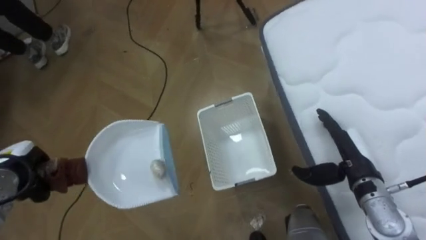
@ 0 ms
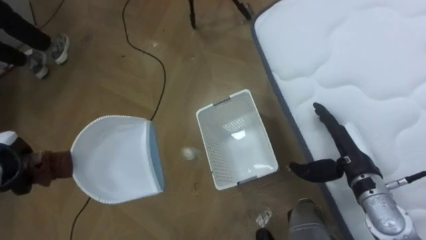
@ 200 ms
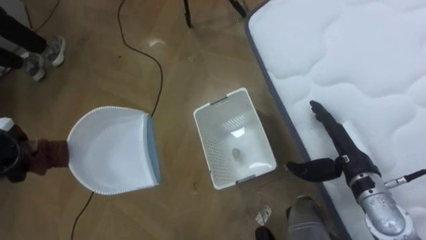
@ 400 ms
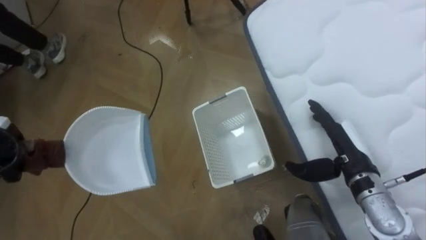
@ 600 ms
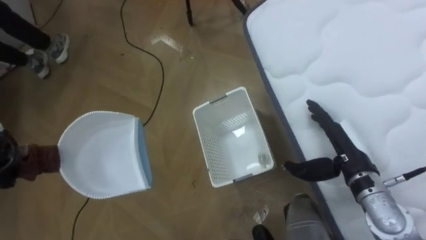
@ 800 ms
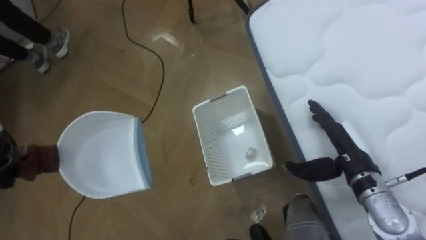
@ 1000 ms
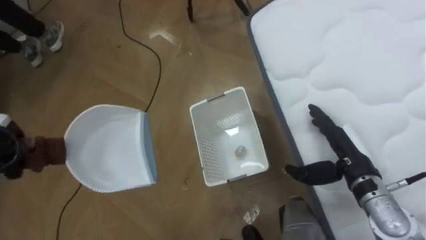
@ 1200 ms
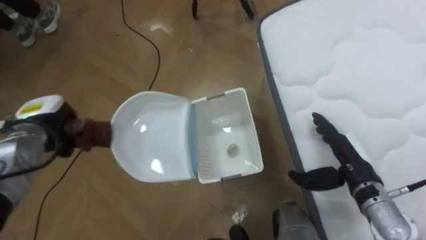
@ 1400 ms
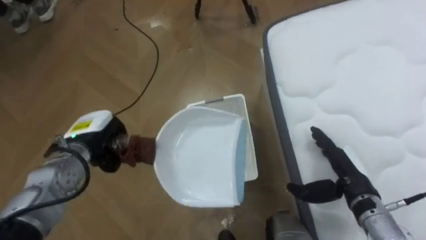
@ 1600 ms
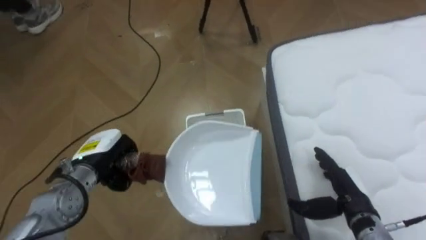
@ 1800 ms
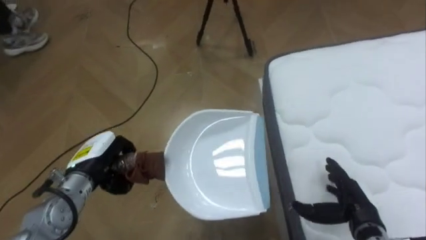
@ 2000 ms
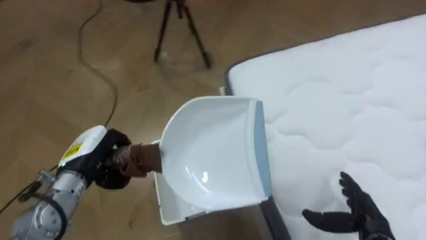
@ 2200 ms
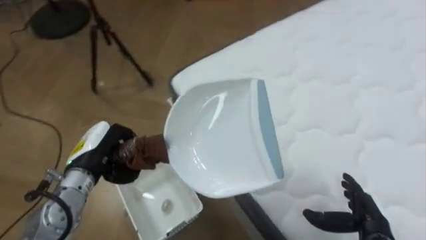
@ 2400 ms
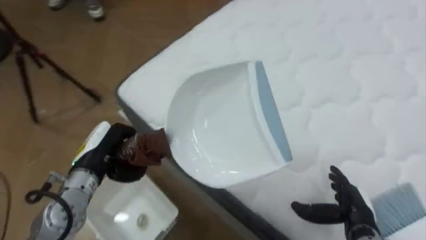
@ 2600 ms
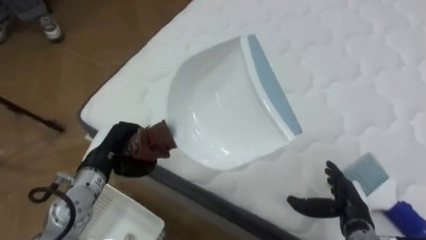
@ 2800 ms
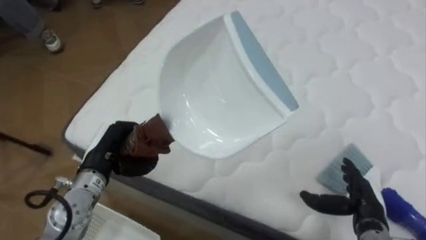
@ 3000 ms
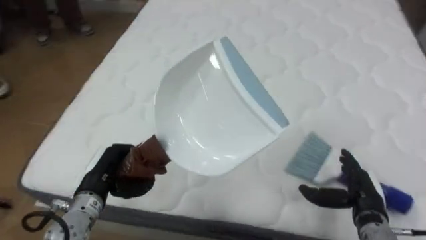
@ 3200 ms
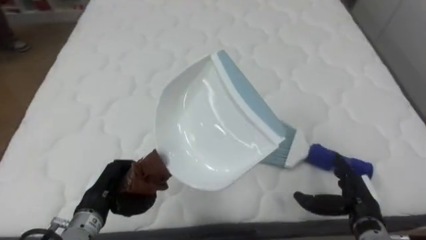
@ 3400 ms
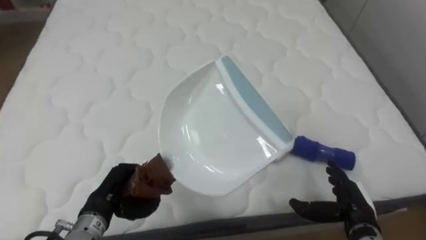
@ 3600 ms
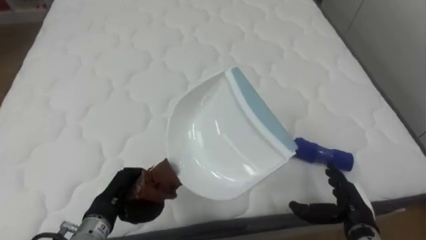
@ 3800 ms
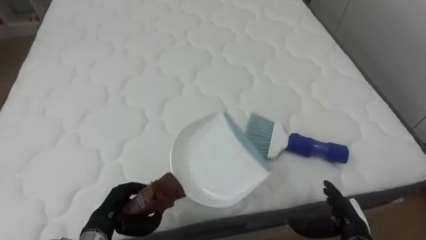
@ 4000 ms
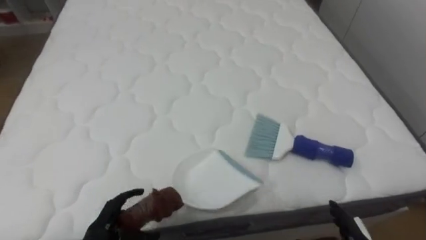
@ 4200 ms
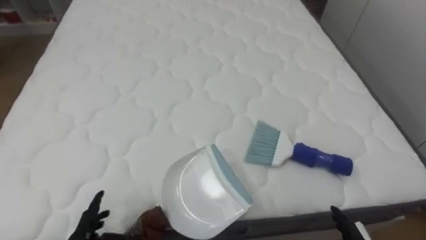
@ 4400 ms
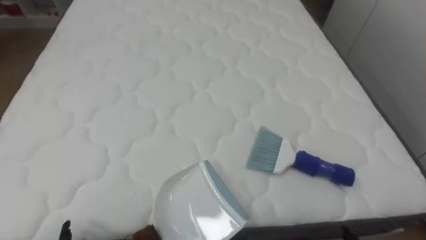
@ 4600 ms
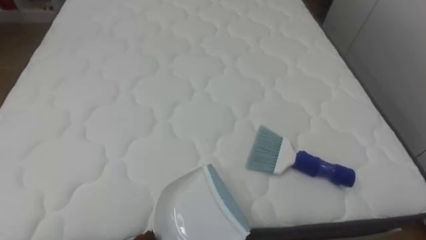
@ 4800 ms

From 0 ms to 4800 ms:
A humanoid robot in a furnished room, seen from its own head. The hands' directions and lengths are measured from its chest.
Task of the whole recording: Pick up the brush on your right and the dustpan on your left. Use the brush to sweep the crumpled paper on the bed into the dustpan, then turn left and empty it into the basket.
From 1600 ms to 3200 ms: The robot rotates about 85 degrees to its right. The left hand goes approximately 10 cm backward.
From 3200 ms to 4800 ms: The robot's body swings roughly 15 degrees to its right.

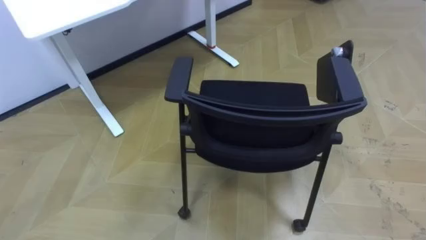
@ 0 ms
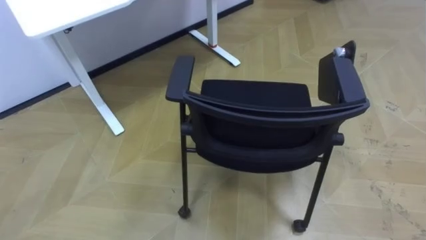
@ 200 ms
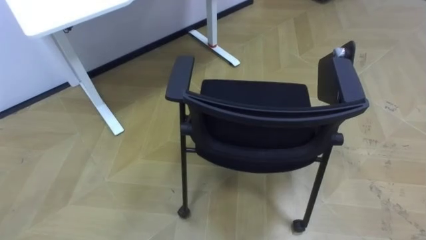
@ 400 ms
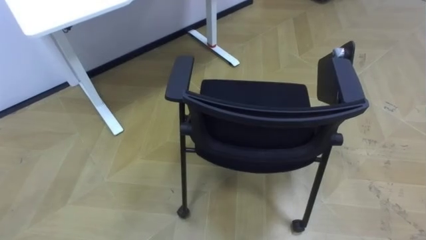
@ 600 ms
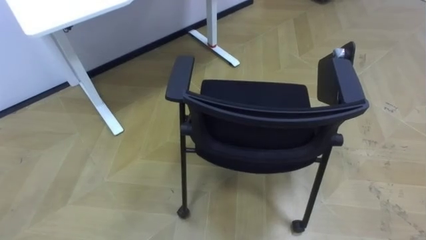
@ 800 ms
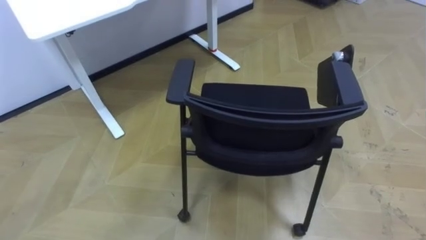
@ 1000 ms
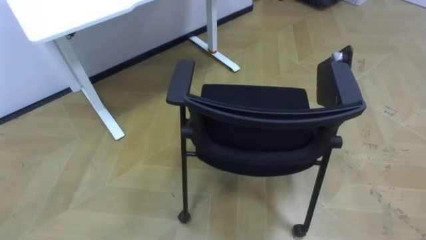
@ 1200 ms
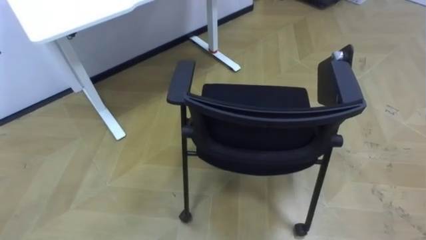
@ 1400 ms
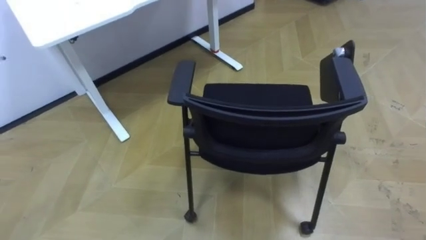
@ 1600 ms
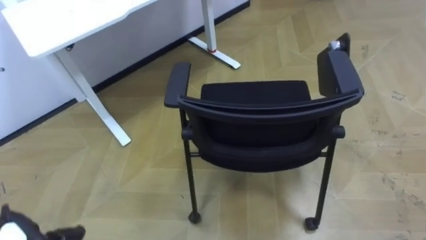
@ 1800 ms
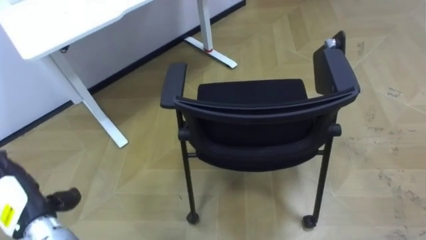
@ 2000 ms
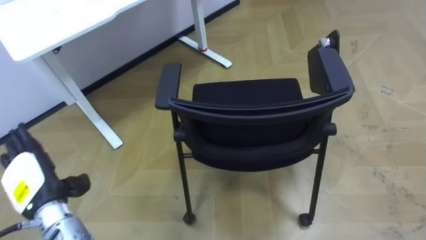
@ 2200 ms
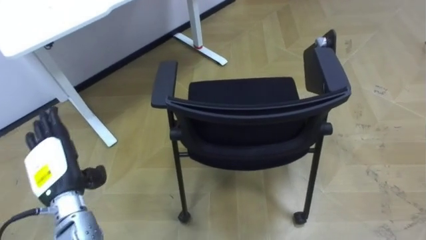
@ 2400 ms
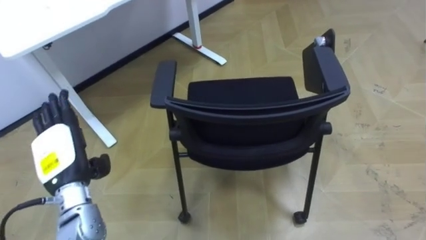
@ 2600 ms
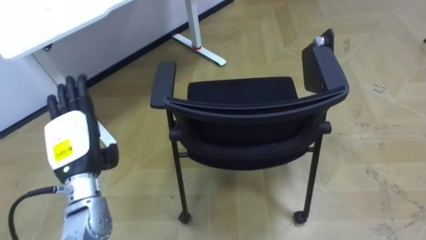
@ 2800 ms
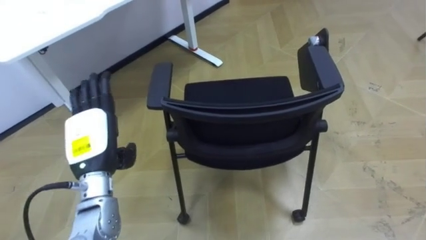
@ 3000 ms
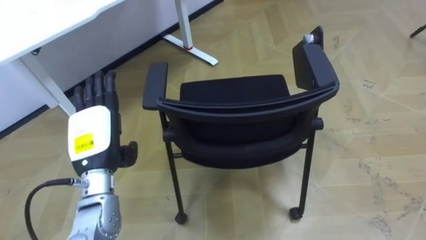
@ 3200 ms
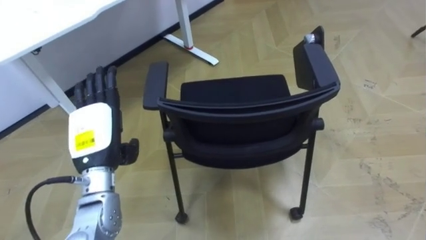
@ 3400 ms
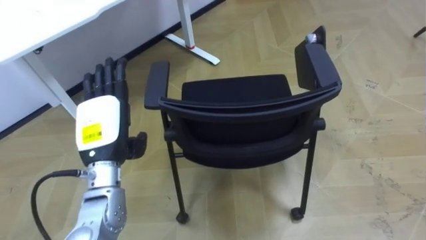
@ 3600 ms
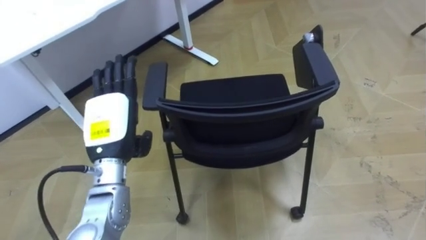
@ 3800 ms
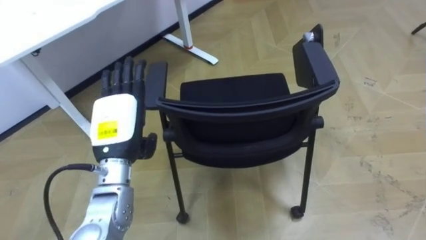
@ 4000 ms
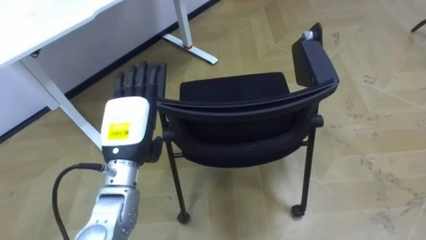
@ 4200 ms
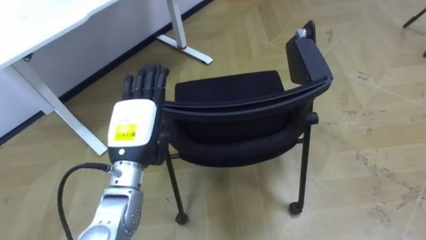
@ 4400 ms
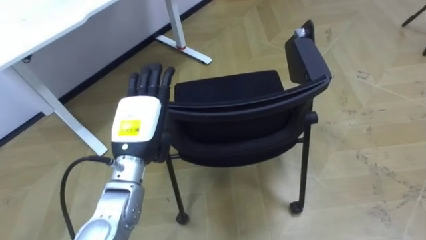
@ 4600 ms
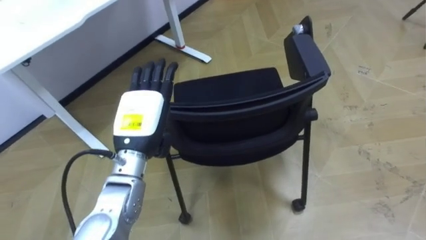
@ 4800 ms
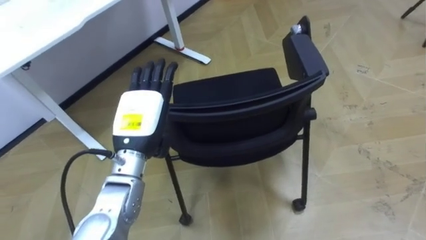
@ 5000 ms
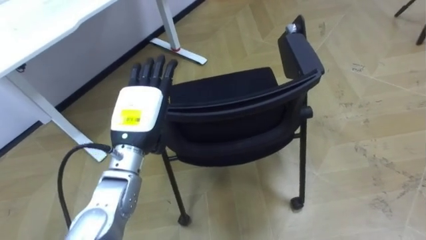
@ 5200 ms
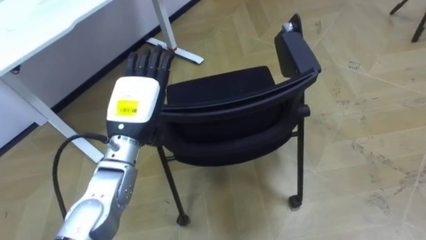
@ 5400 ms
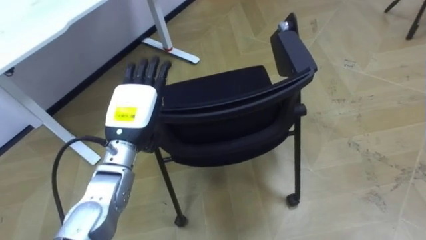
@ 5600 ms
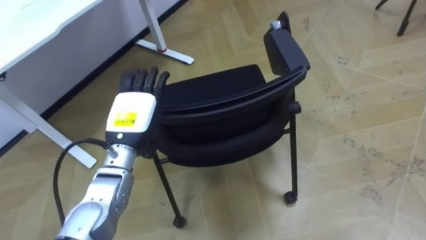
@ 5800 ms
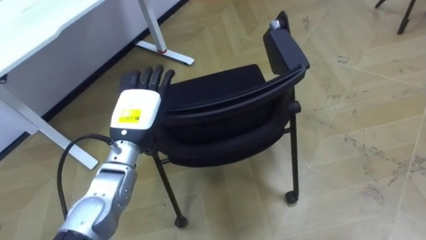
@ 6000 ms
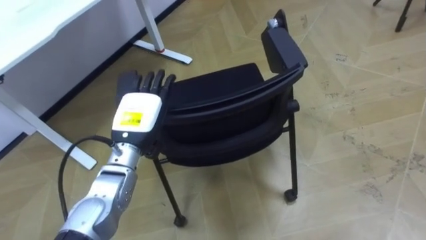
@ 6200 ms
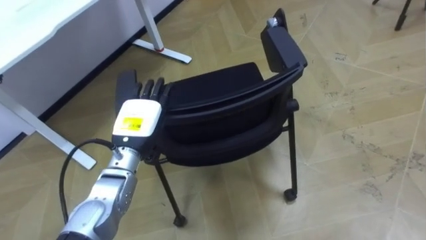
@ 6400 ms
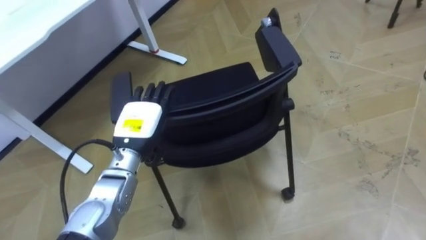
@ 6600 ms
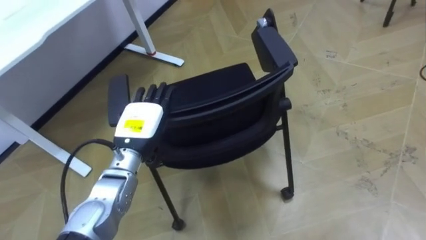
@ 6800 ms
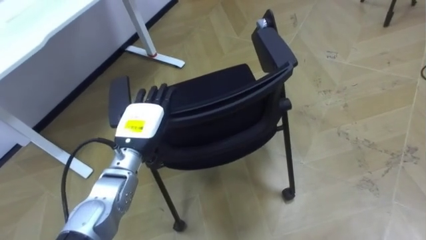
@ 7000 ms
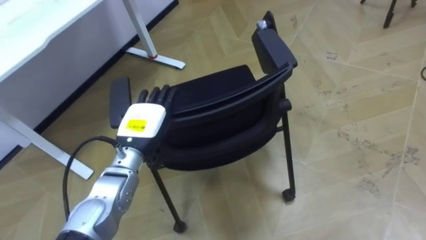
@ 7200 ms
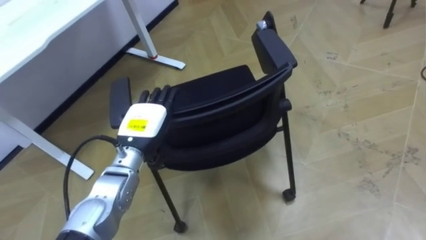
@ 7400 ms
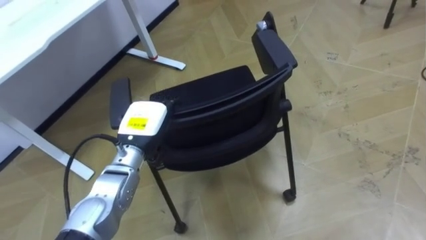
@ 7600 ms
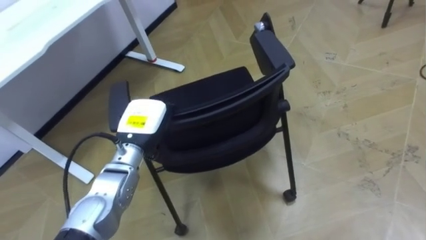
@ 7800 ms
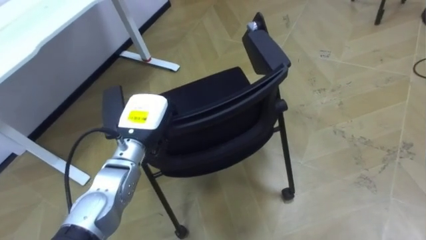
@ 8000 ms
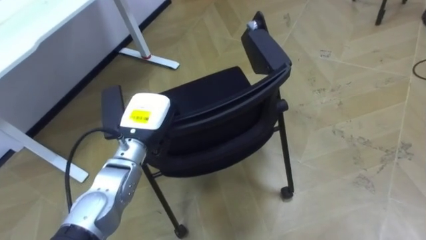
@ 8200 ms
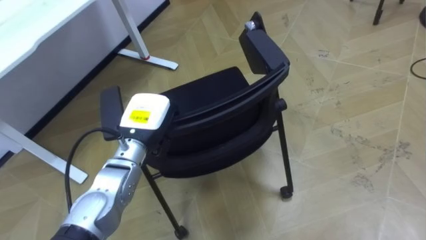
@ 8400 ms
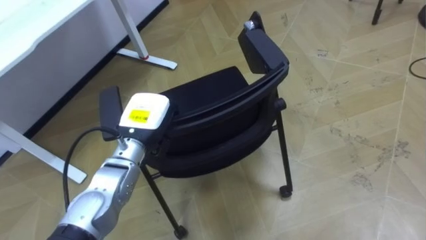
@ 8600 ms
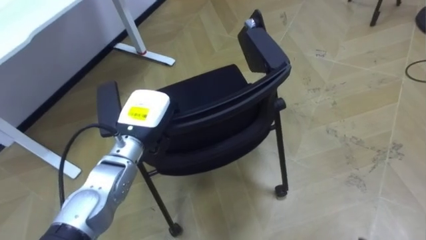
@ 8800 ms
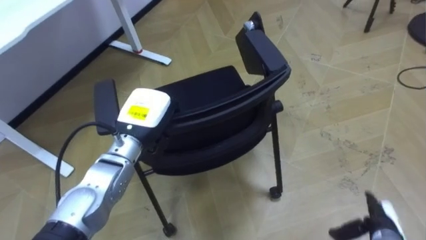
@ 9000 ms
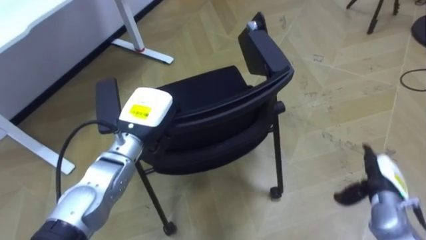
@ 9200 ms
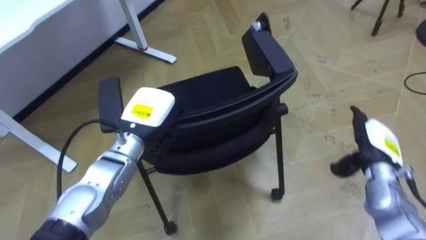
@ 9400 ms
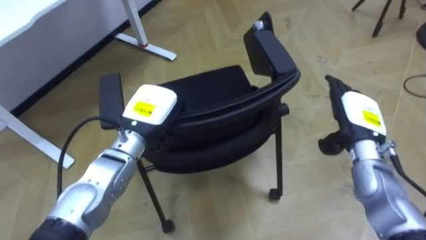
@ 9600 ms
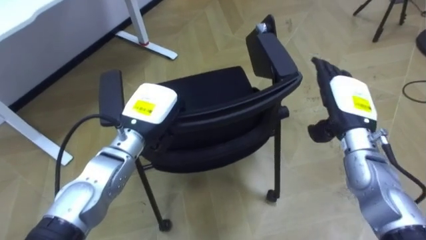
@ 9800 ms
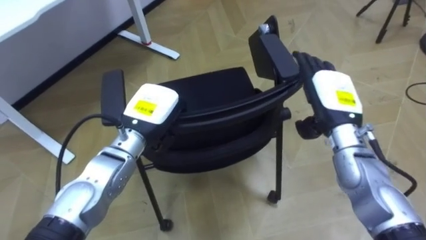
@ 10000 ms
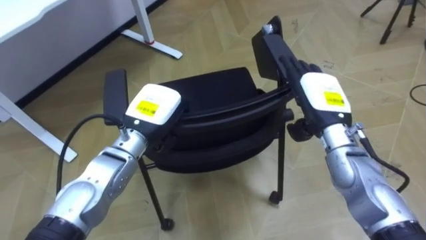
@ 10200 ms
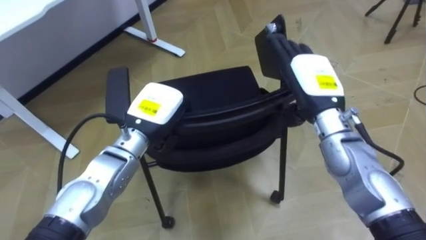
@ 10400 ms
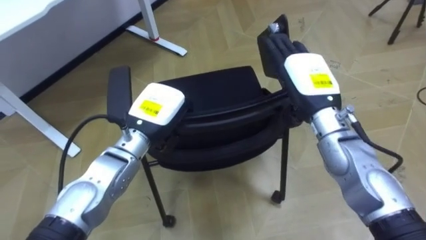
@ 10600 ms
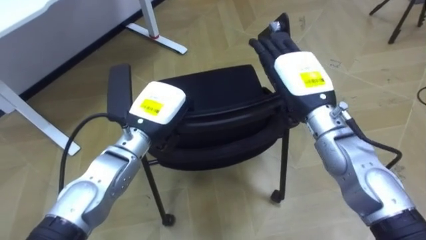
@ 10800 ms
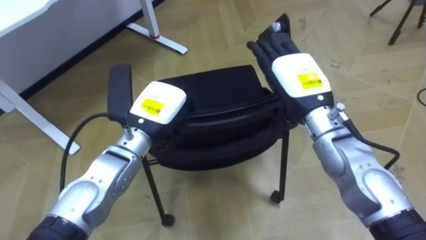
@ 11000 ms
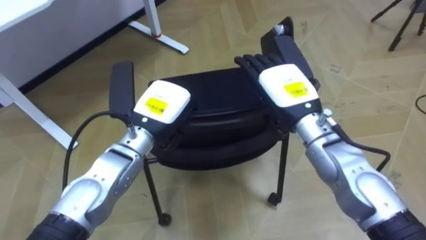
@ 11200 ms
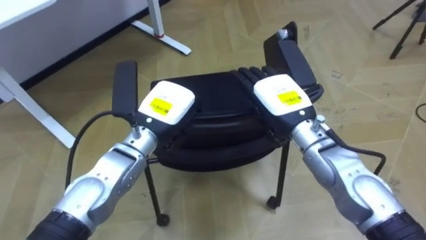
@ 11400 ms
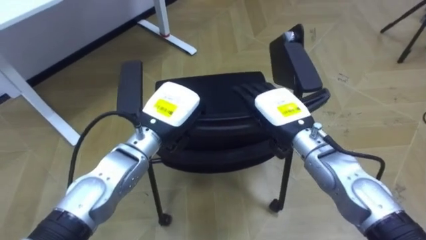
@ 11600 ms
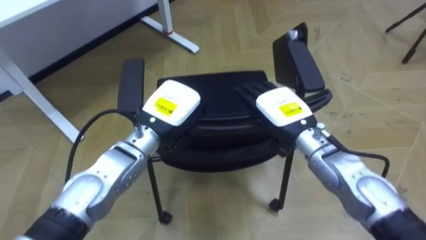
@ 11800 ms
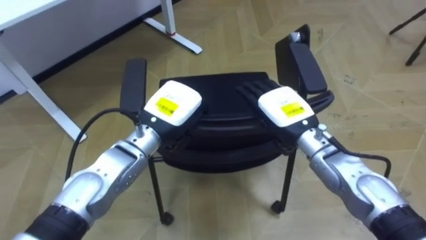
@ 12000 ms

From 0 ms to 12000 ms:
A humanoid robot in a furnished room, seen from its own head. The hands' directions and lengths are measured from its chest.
Task of the whole recording: Push the chair under the table.
From 3000 ms to 4400 ms: The left hand is displaced to the right by roughly 10 cm.
From 7600 ms to 9000 ms: The left hand closes.
From 9000 ms to 10400 ms: The right hand moves upward, forward and to the left, some 35 cm.
From 10400 ms to 12000 ms: The right hand travels downward by approximately 5 cm.
